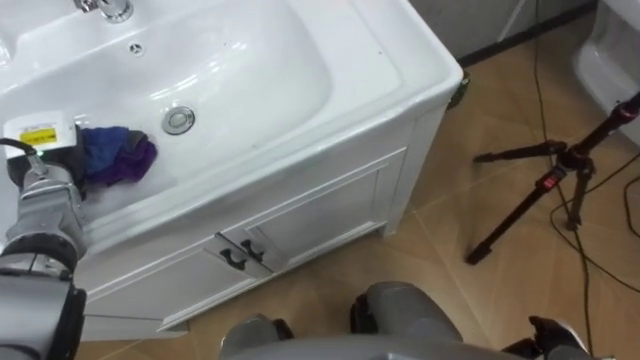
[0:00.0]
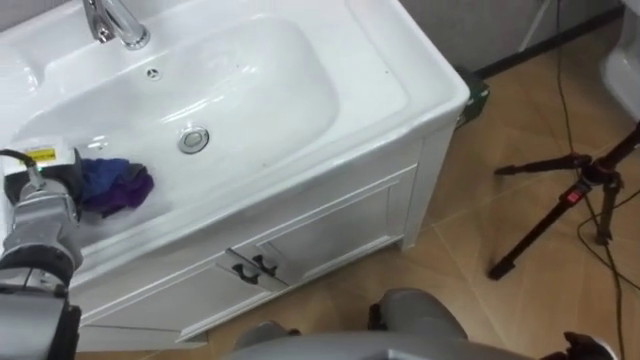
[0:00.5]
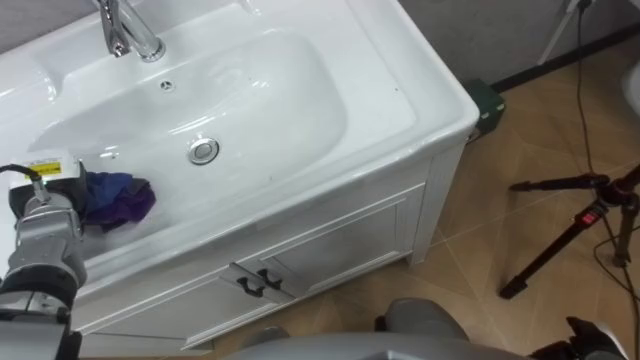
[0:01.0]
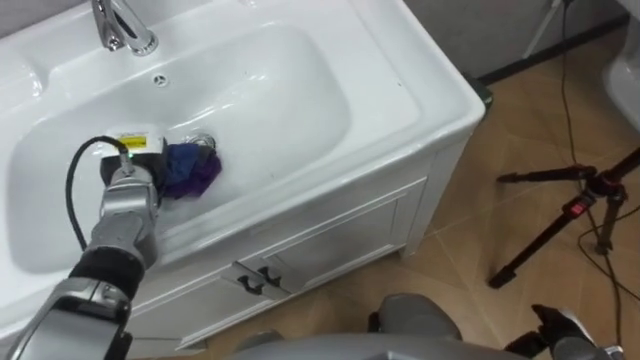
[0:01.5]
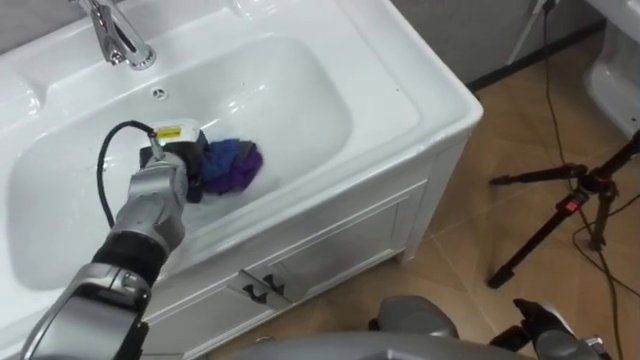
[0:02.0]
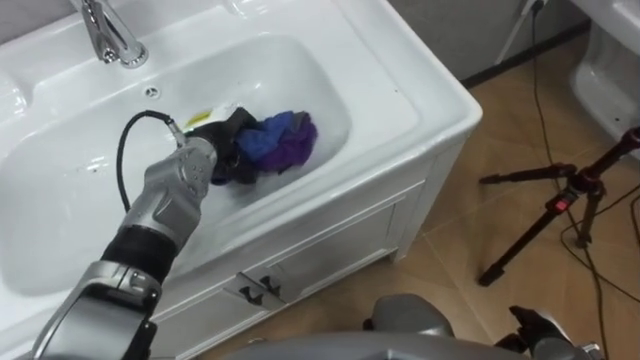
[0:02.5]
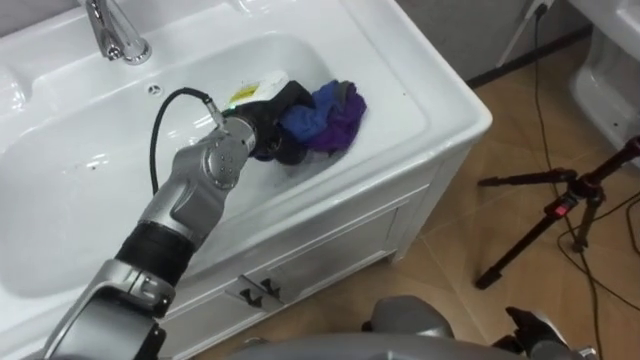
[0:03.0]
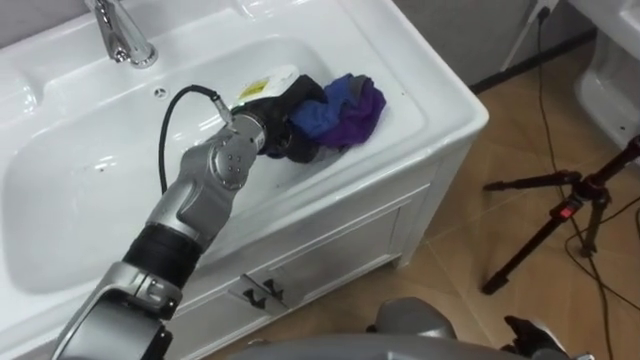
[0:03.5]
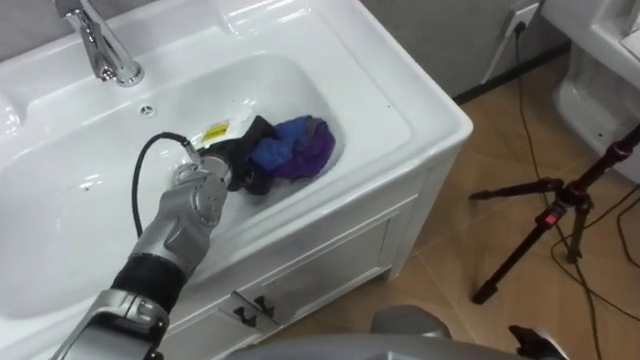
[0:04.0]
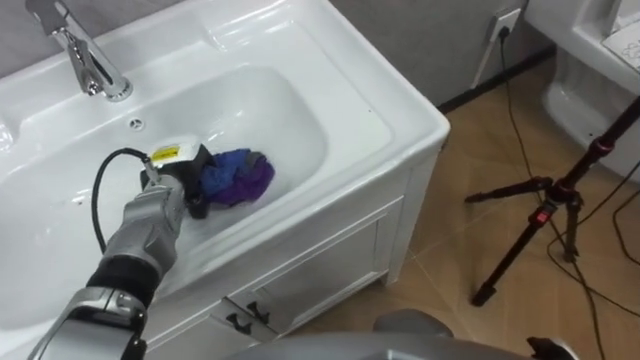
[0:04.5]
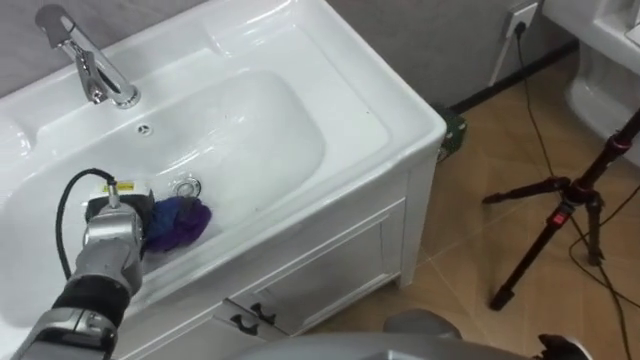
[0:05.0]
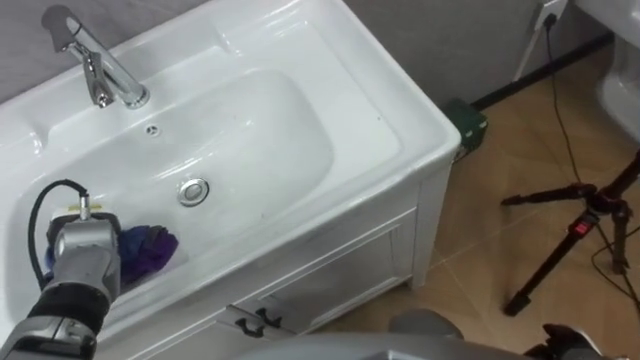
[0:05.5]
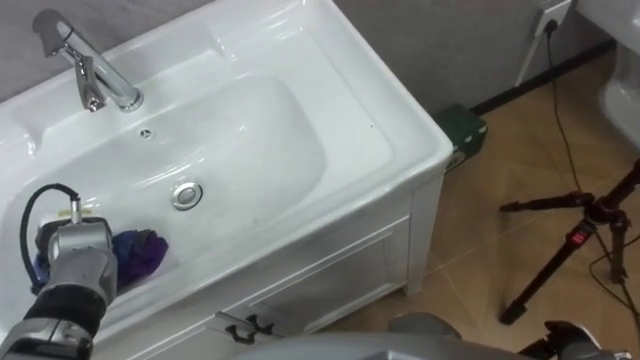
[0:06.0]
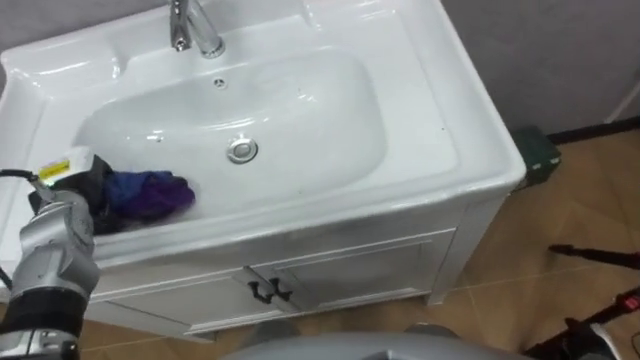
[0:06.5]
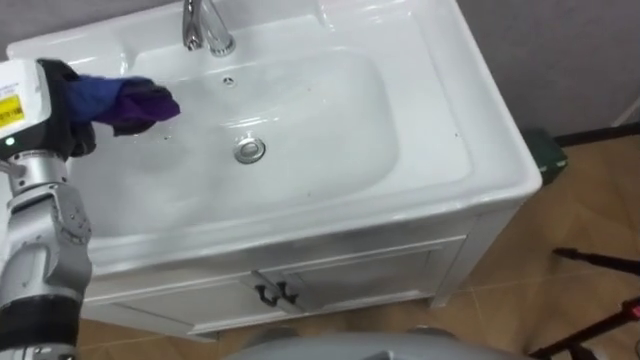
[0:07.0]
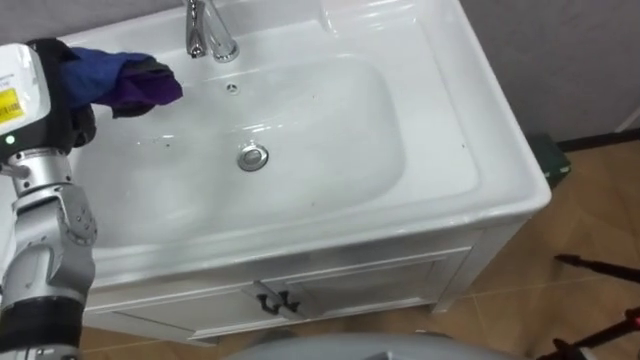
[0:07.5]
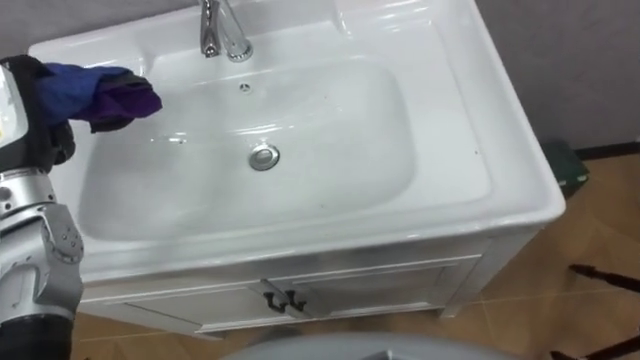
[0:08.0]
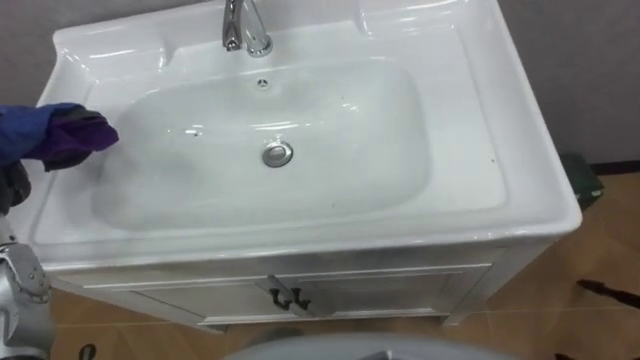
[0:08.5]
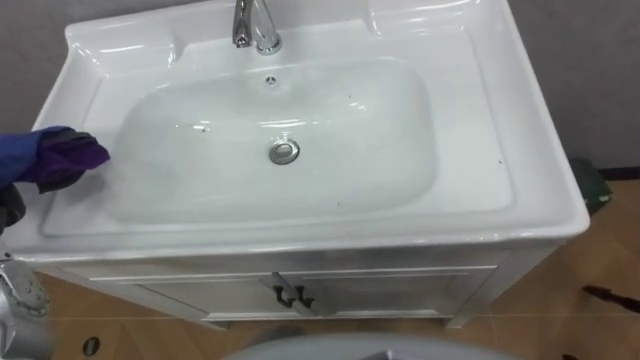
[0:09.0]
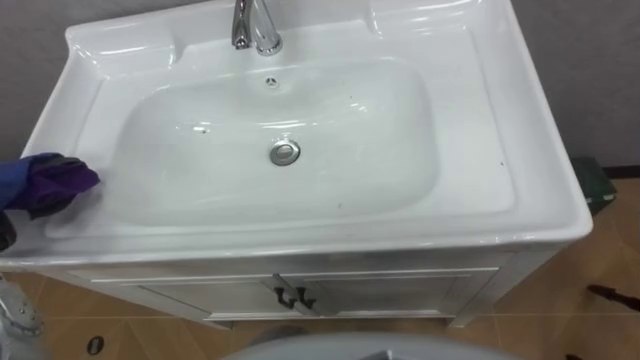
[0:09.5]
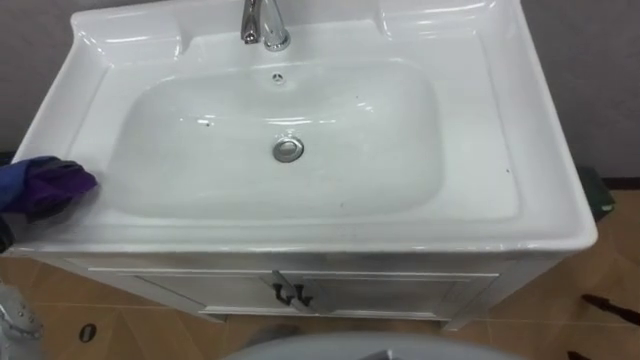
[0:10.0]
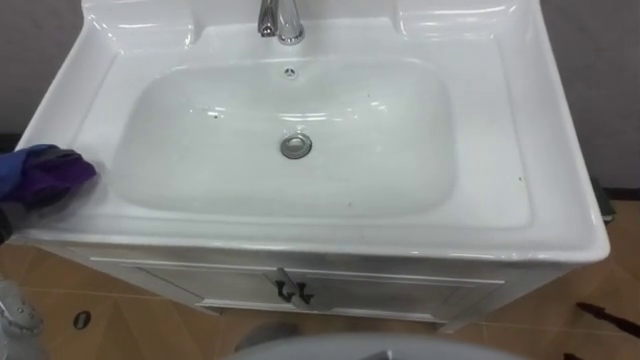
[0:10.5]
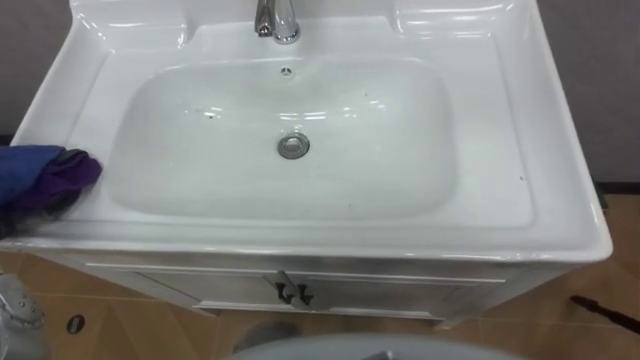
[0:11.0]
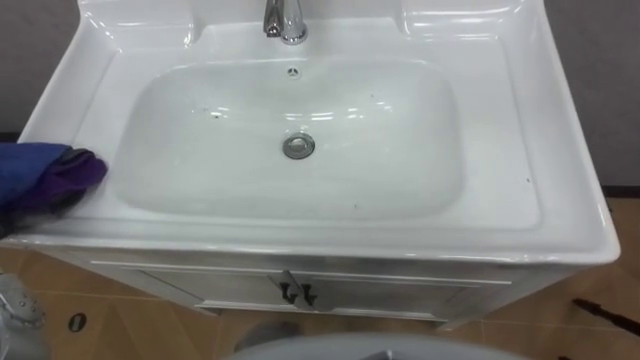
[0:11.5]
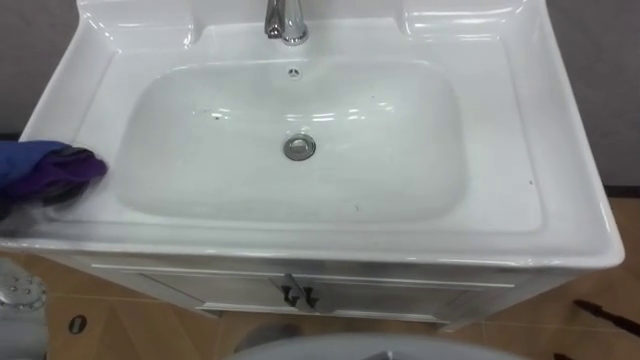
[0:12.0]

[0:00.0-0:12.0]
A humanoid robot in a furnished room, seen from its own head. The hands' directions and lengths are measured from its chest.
Task of the whole recording: Use the cloth on the right to wipe away the black stain in the sink.
0:00.0 to 0:02.0: The left hand goes some 15 cm to the right.
0:02.0 to 0:04.0: The left hand goes about 5 cm to the right.
0:04.0 to 0:06.0: The left hand heads to the left and backward, covering some 25 cm.

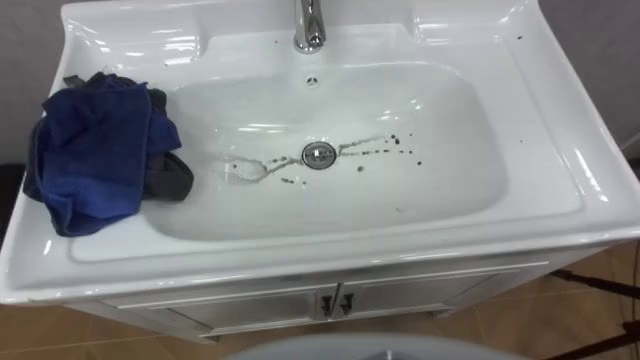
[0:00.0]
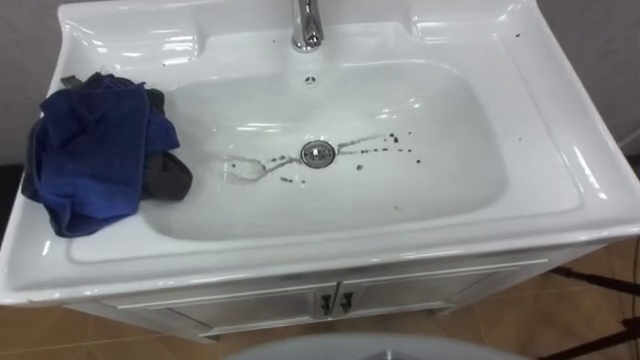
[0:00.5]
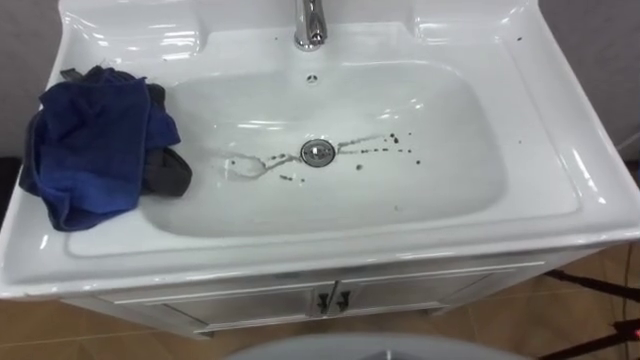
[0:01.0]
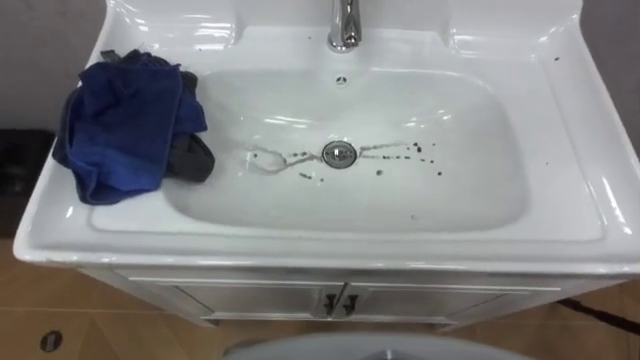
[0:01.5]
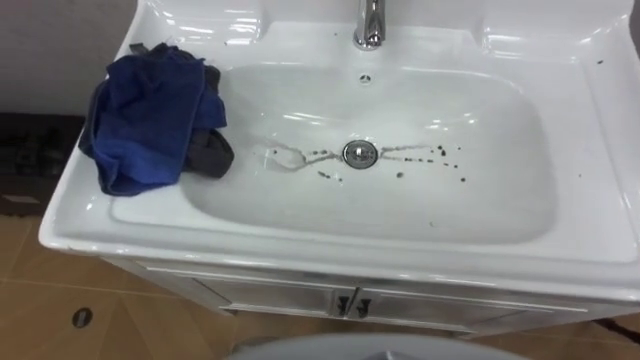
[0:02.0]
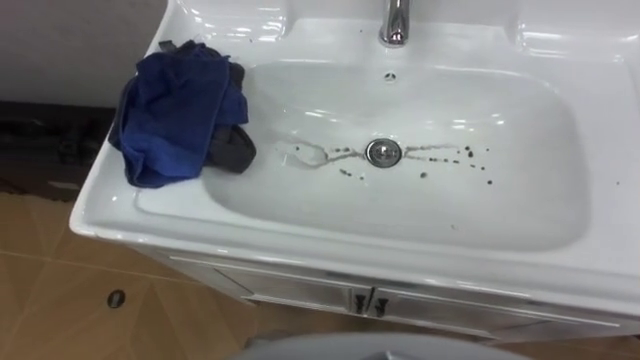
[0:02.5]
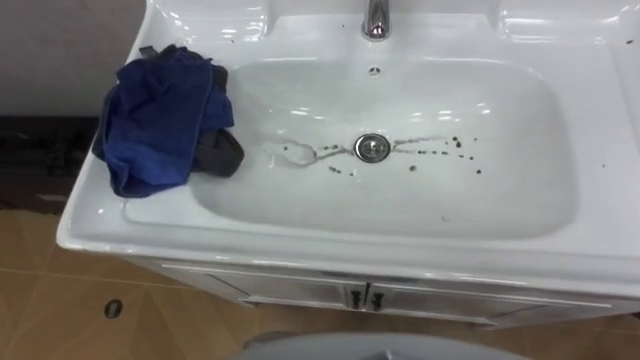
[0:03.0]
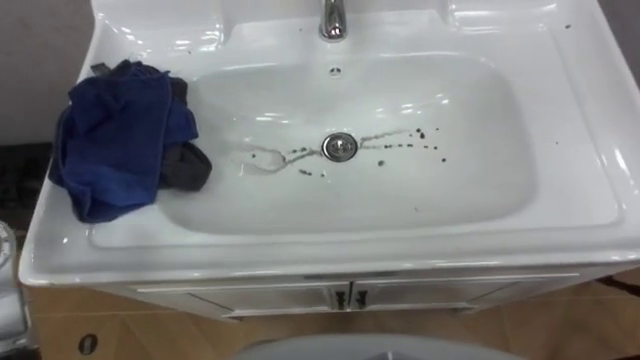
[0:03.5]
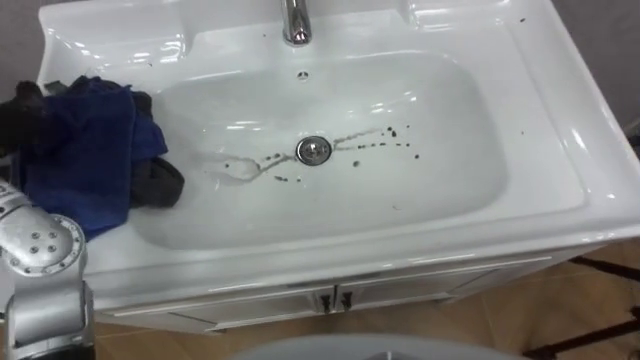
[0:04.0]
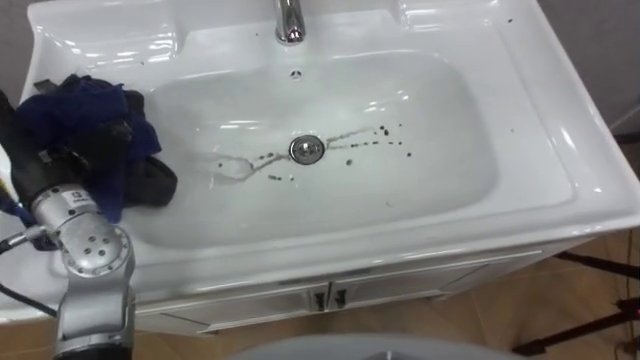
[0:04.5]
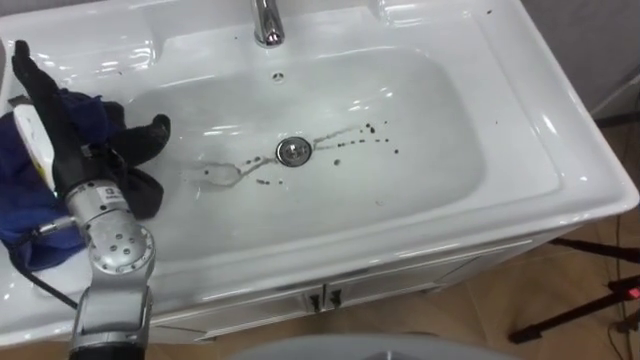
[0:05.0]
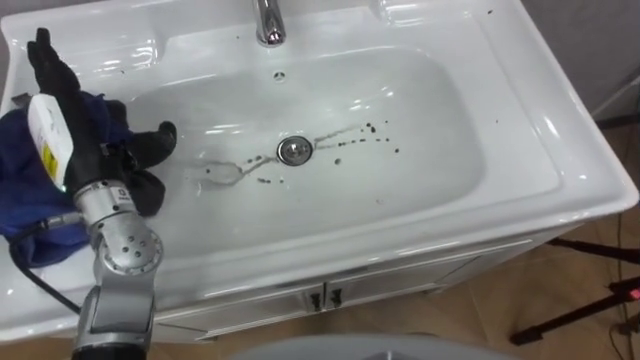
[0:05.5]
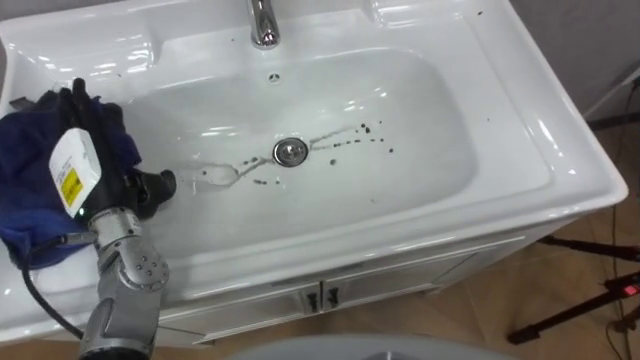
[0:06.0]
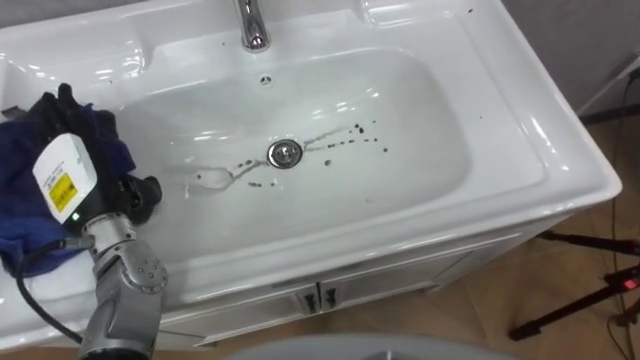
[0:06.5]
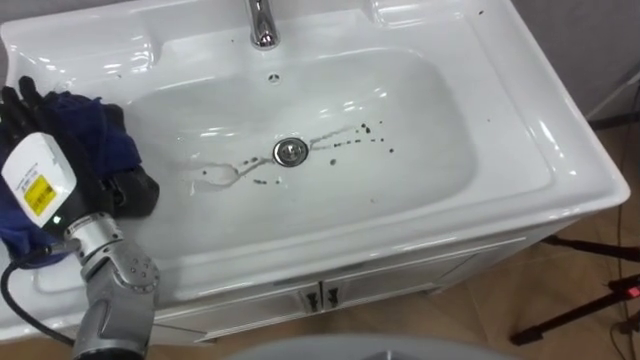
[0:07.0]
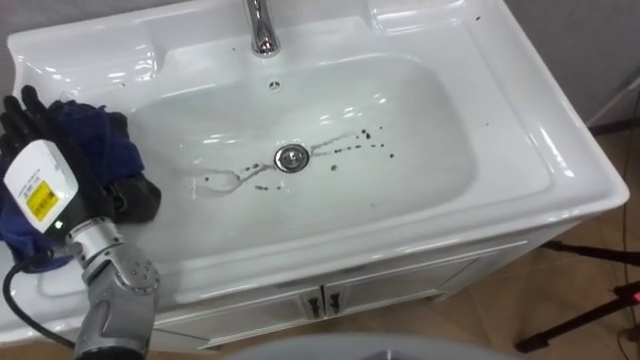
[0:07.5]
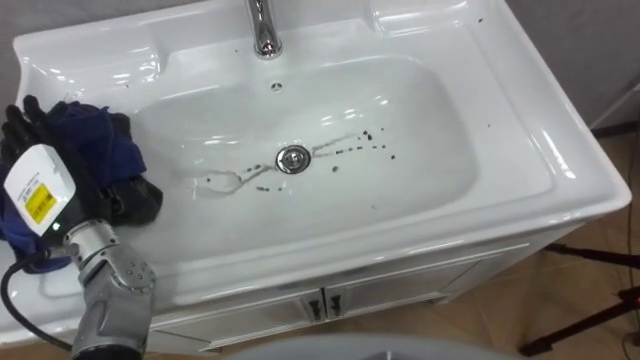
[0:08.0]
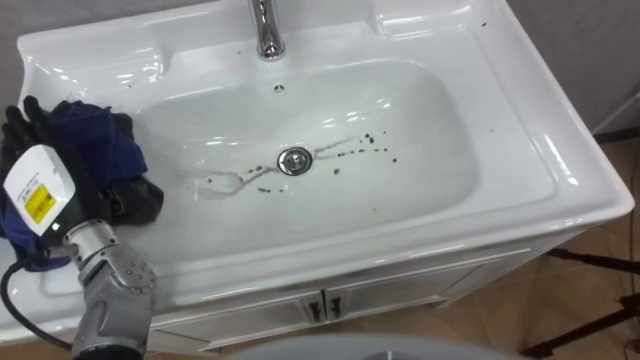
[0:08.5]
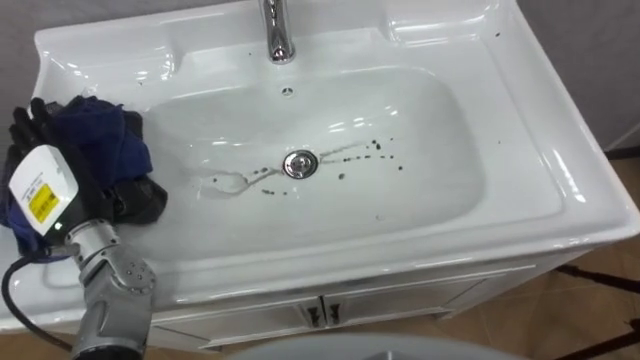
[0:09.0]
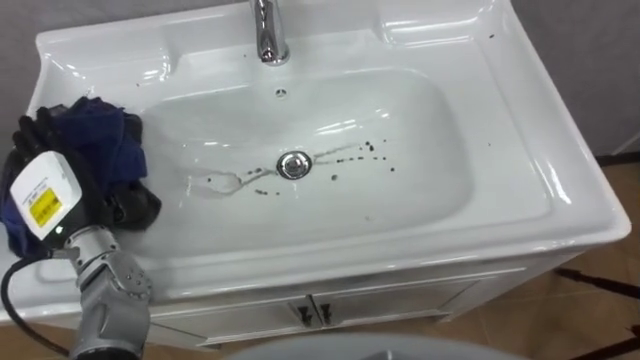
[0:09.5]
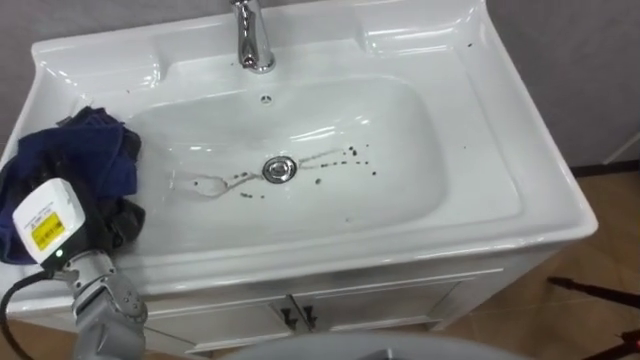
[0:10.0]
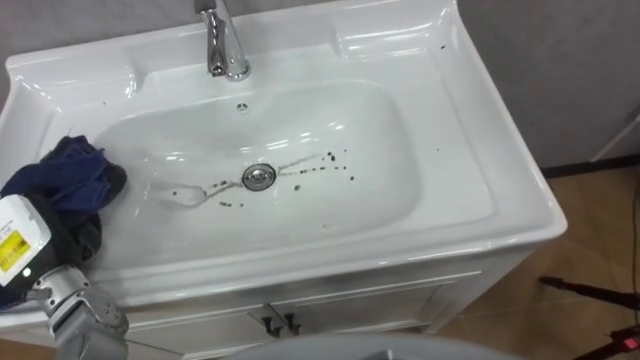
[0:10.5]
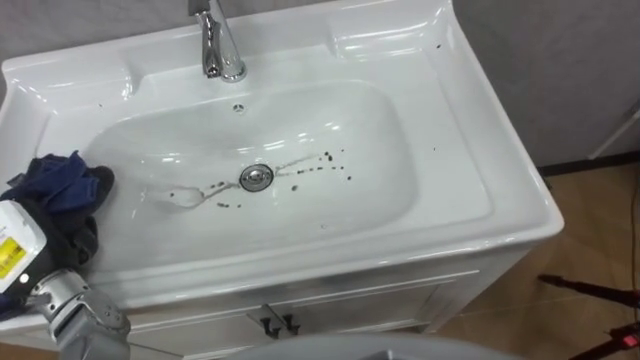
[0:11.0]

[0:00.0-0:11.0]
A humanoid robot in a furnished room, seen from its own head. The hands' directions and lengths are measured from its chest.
Task of the whole recording: Use the cloth on the right to wipe away the black stain in the sink.
0:05.5 to 0:07.5: The left hand moves roughly 5 cm.
0:09.0 to 0:11.0: The left hand travels backward by roughly 5 cm, and closes its fingers.
